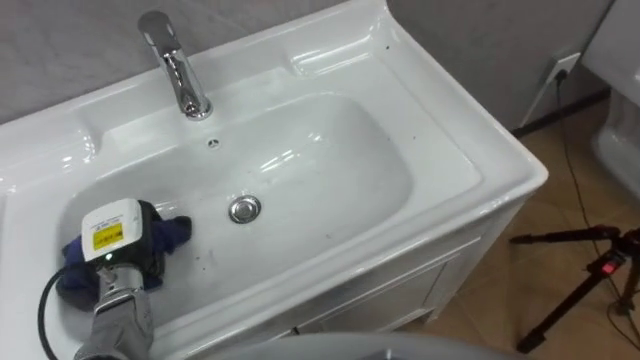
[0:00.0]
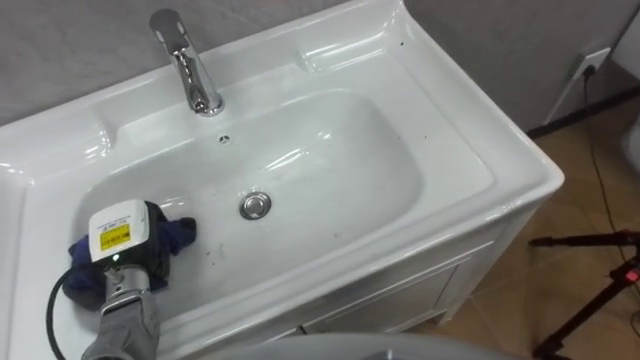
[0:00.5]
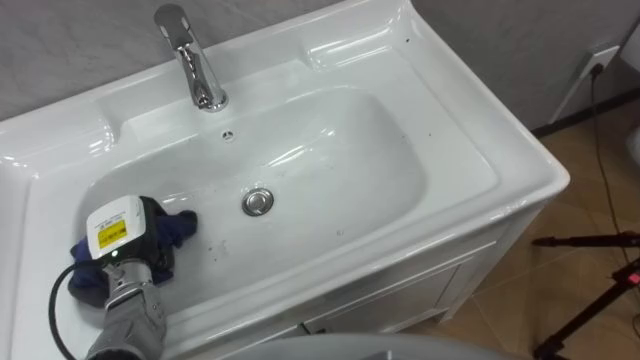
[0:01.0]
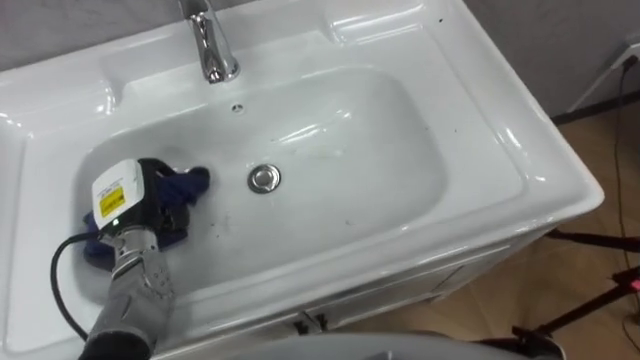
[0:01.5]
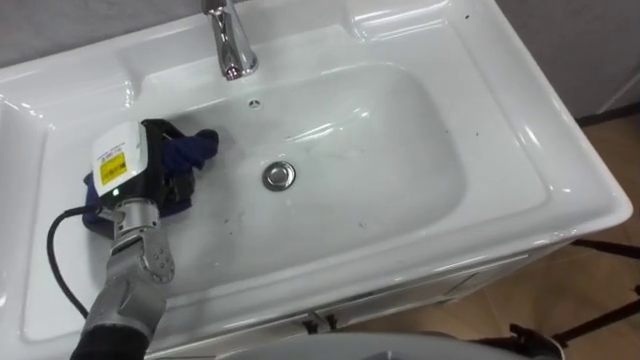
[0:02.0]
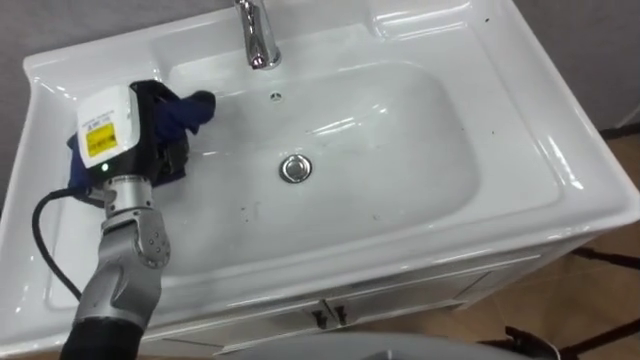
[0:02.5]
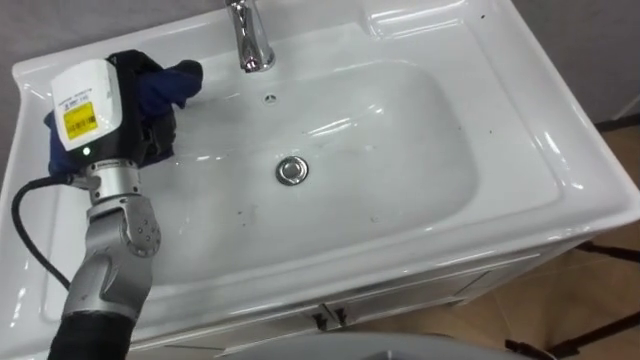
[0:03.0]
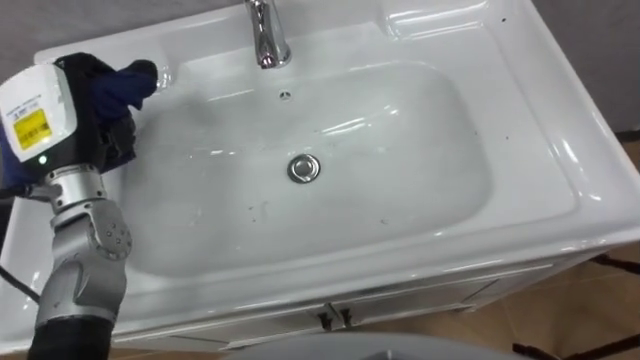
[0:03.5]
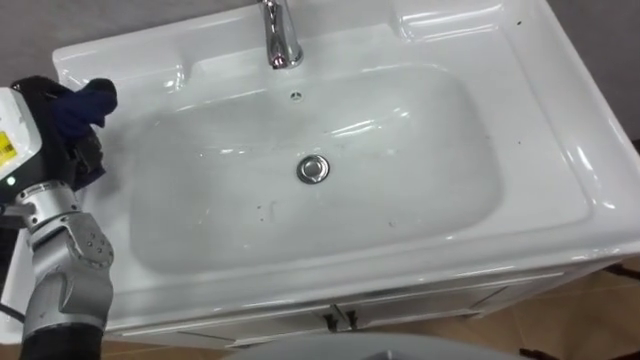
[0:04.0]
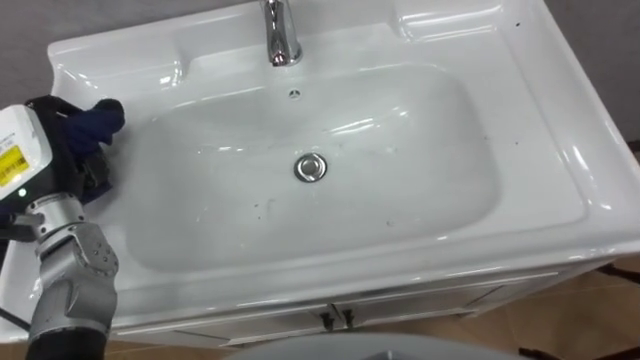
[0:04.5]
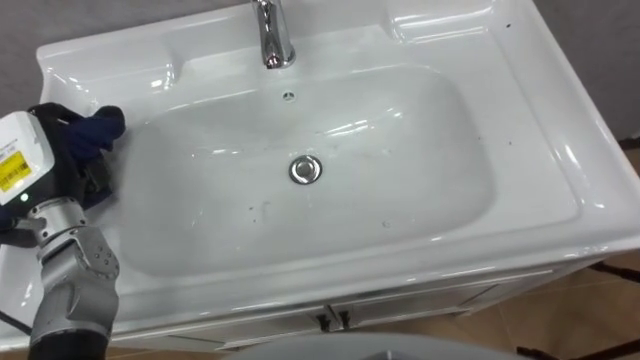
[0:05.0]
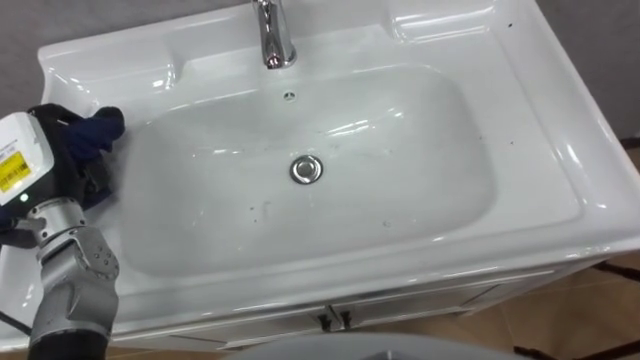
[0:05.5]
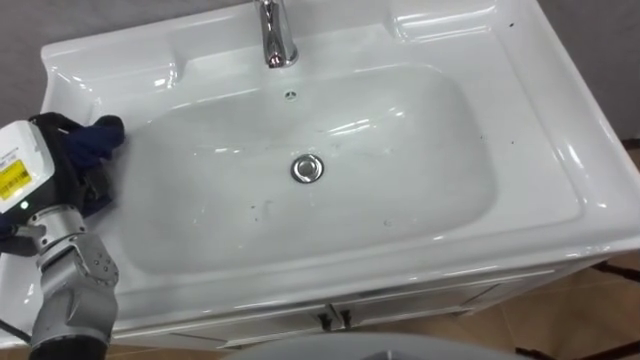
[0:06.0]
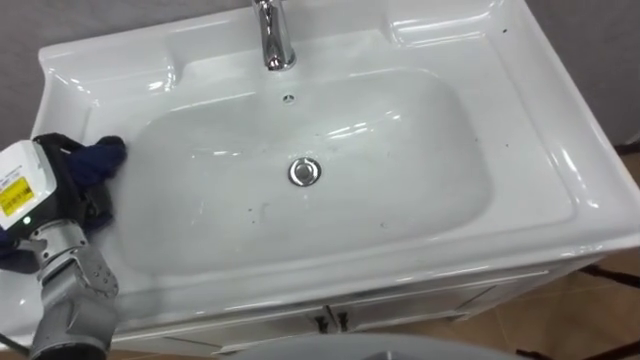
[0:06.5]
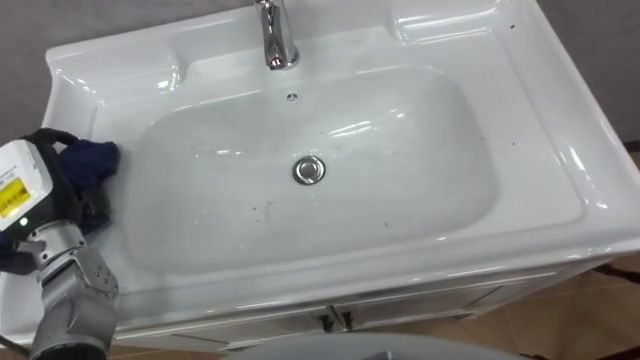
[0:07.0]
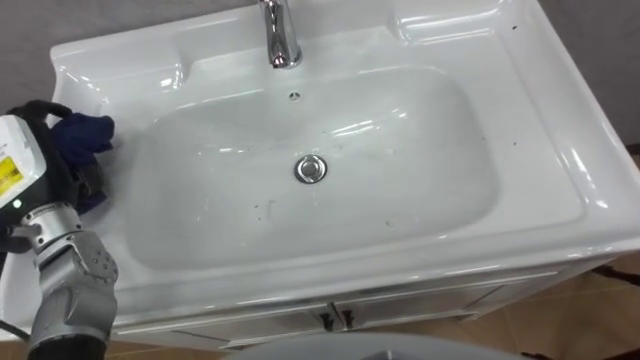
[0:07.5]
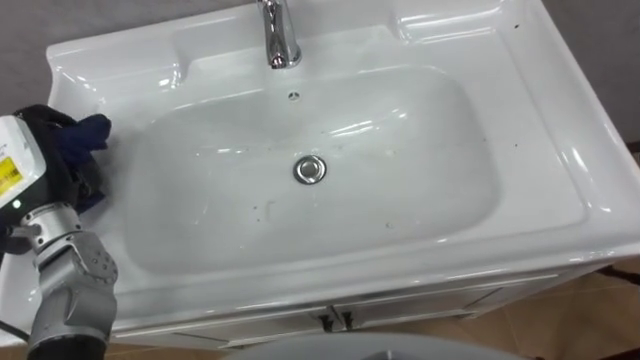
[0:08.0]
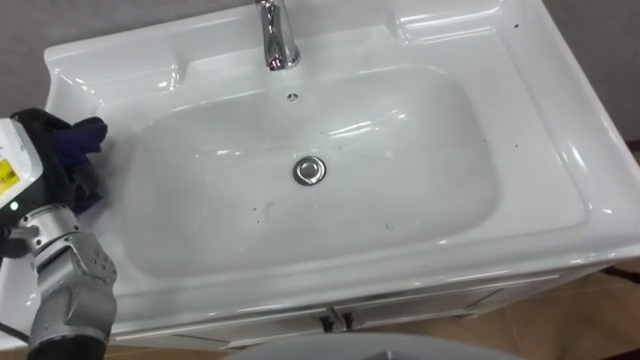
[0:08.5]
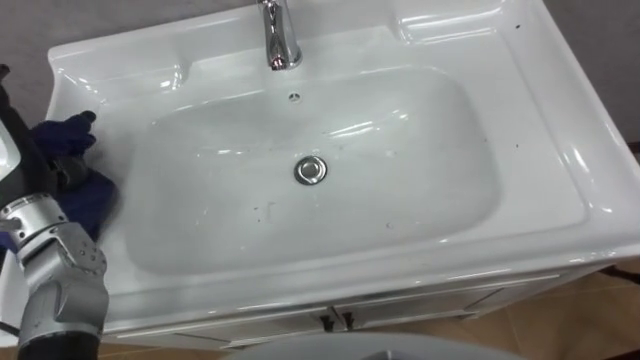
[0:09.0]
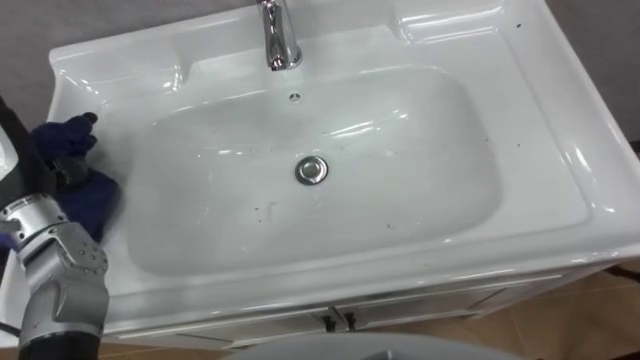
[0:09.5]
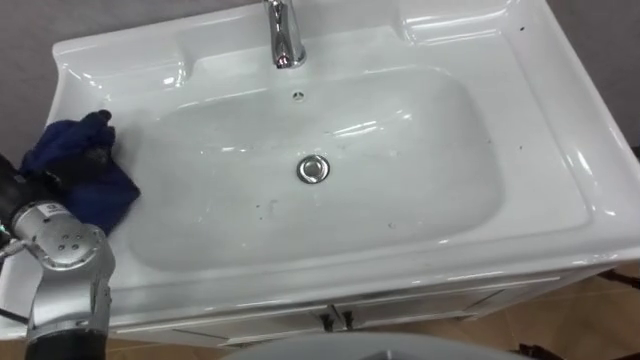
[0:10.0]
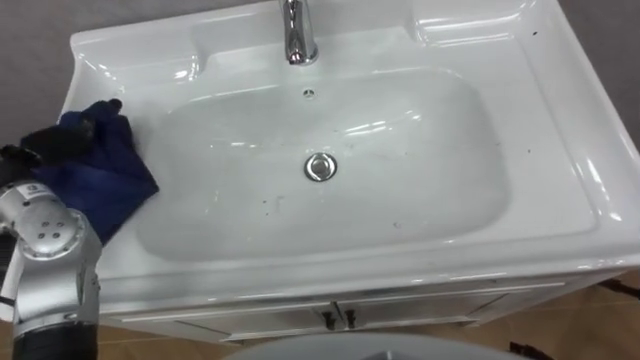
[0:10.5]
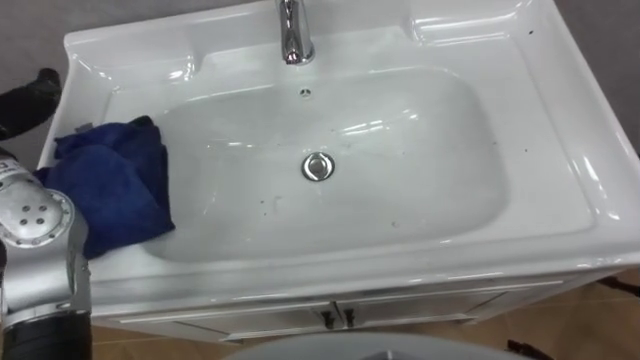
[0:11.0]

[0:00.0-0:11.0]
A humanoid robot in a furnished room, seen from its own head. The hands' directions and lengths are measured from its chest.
Task of the whole recording: Use the cloth on the right to wipe away the black stain in the sink.
0:00.0 to 0:02.0: The left hand travels upward and forward by roughly 10 cm.
0:02.0 to 0:03.5: The left hand goes some 10 cm upward.
0:03.5 to 0:05.5: The left hand moves approximately 5 cm.

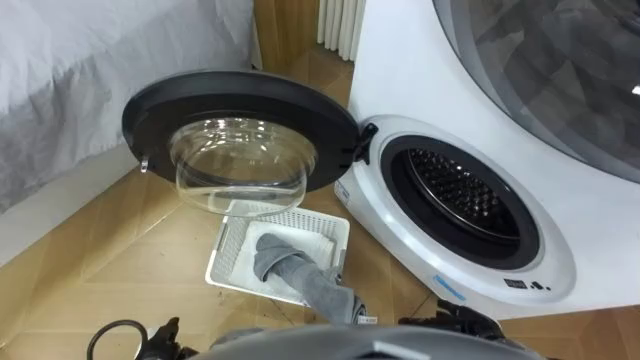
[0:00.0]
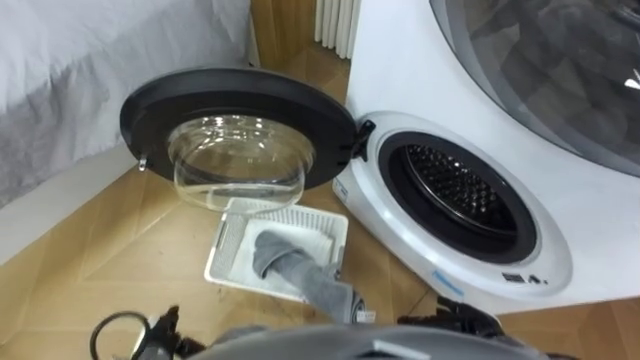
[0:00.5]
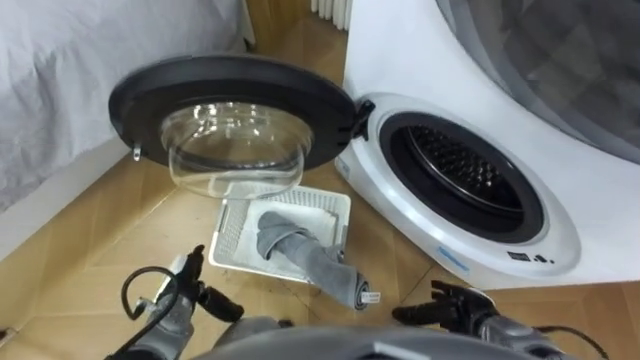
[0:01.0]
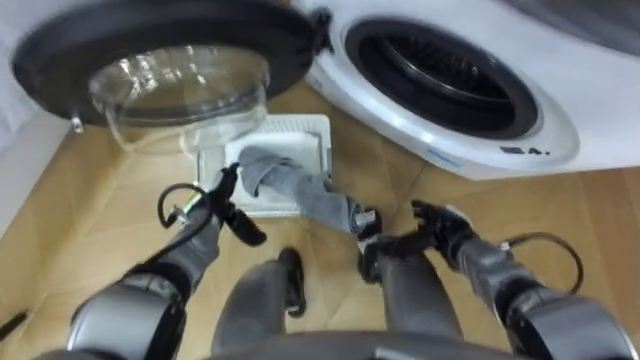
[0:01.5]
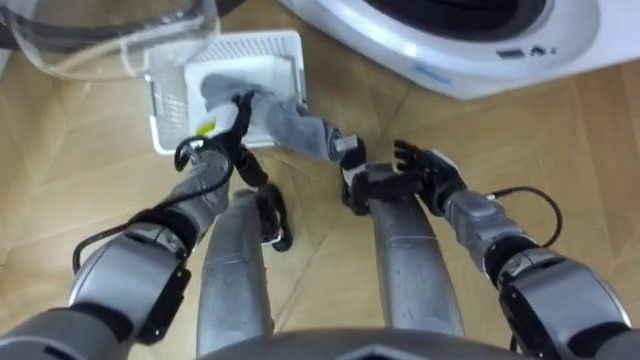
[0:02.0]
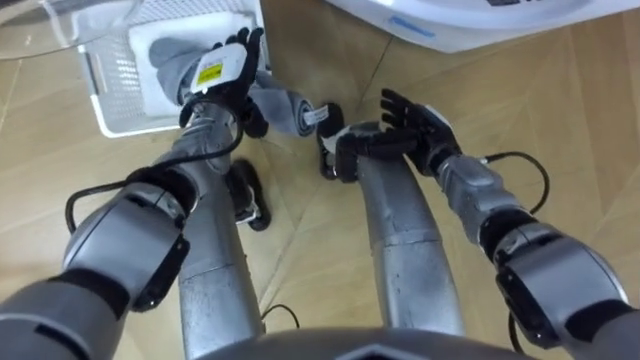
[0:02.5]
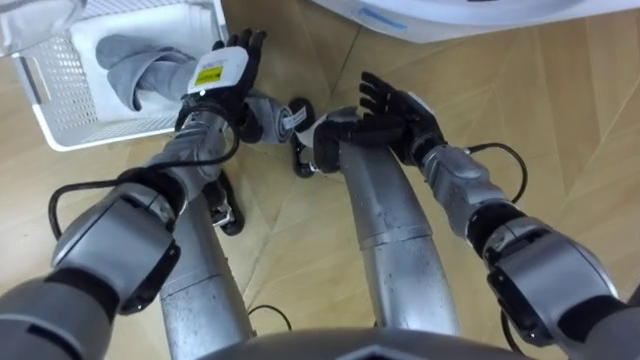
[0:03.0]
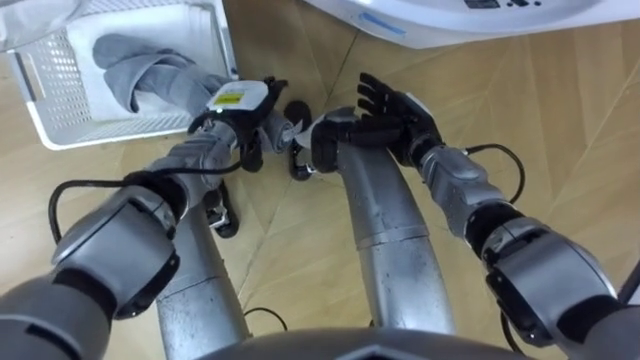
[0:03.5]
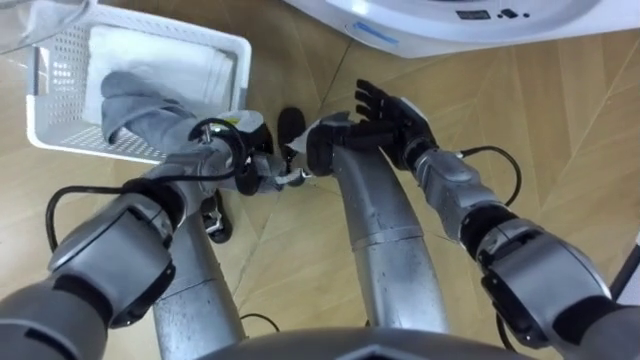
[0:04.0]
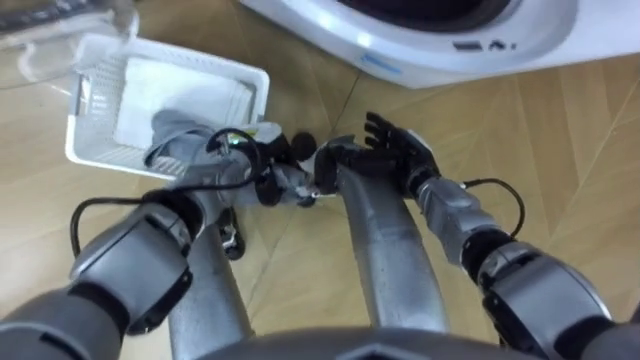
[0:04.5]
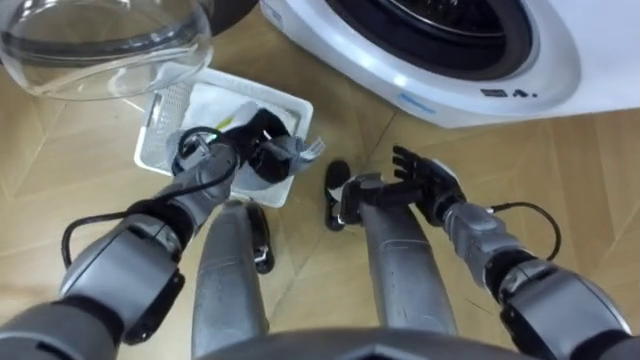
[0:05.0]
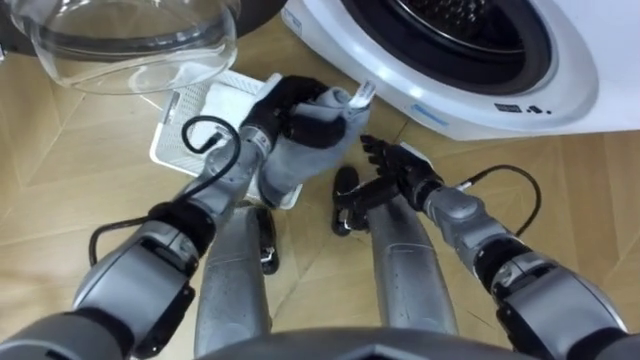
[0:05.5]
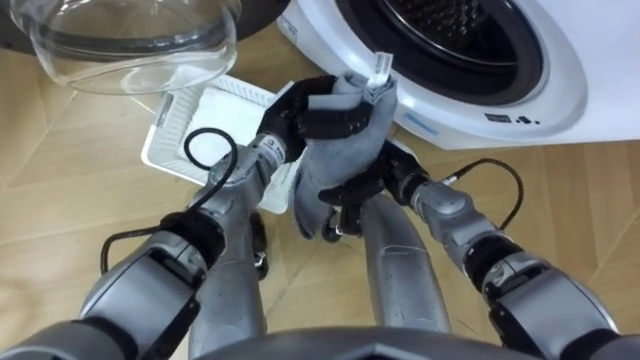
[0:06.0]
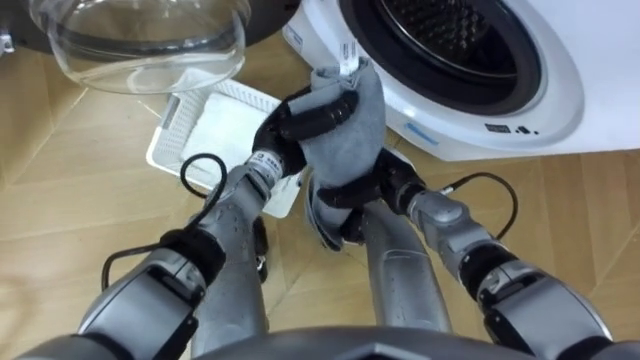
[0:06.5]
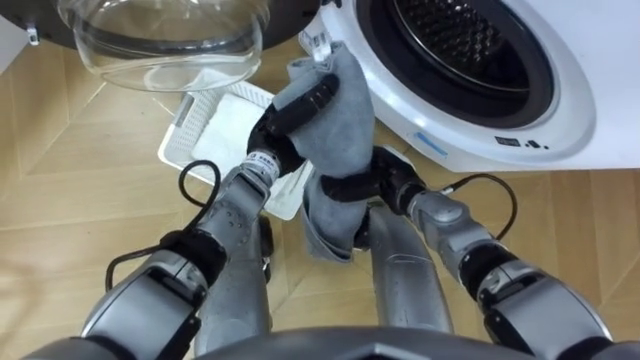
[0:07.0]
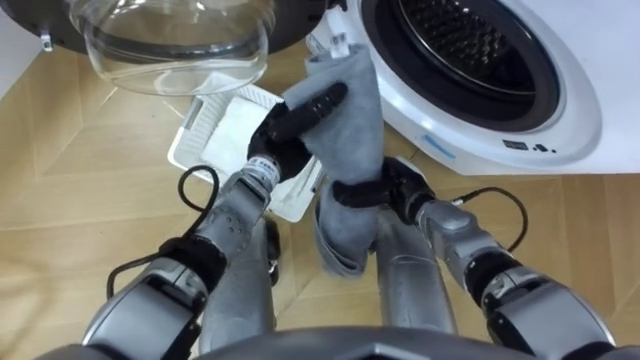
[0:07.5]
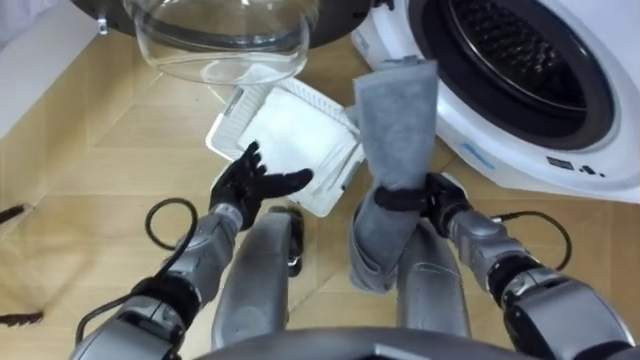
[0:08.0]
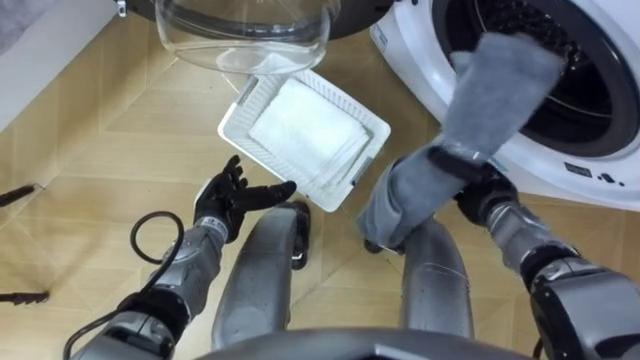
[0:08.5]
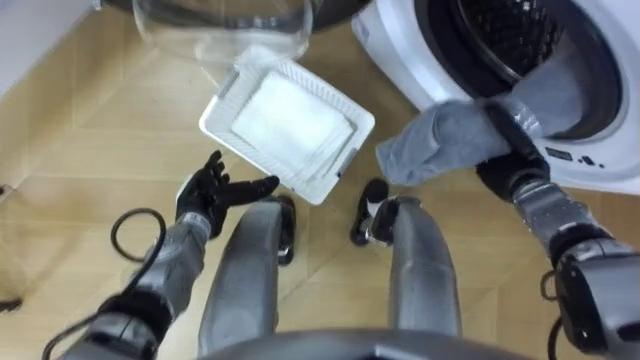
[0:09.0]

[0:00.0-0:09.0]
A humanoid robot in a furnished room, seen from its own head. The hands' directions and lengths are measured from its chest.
Task of the whole recording: Take the towel from the basket and put it into the washing machine.
0:02.0 to 0:04.5: The left hand moves roughly 5 cm upward and comes back, and closes its fingers.
0:04.5 to 0:07.0: The left hand goes some 5 cm upward, while the right hand closes.
0:07.0 to 0:09.0: The right hand shifts about 20 cm to the right. The left hand heads to the left, downward and backward, covering roughly 15 cm, and opens its fingers.
